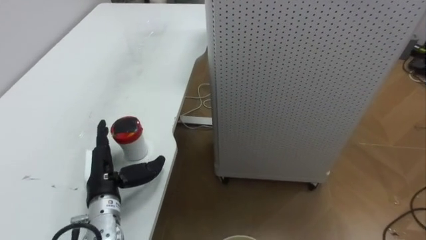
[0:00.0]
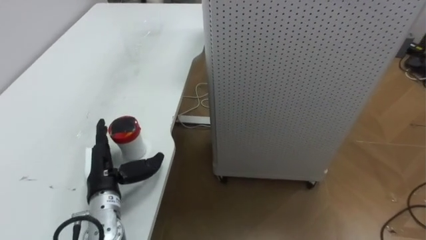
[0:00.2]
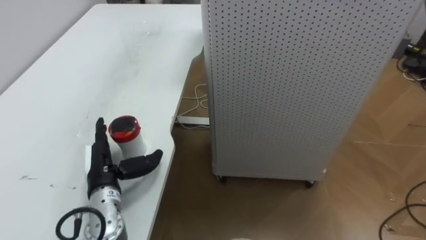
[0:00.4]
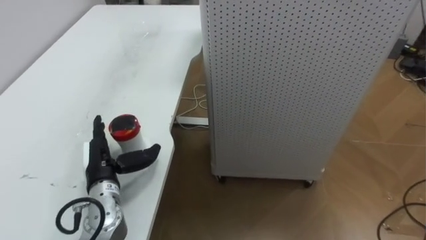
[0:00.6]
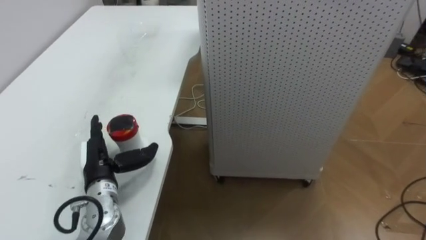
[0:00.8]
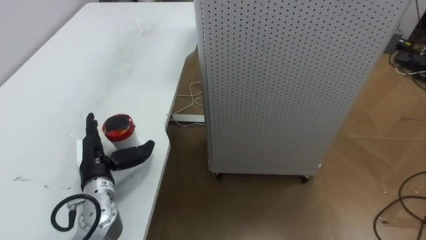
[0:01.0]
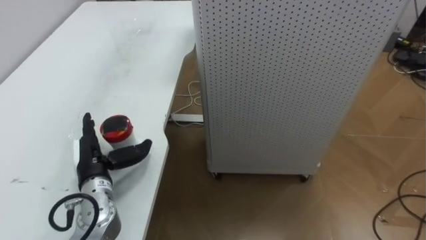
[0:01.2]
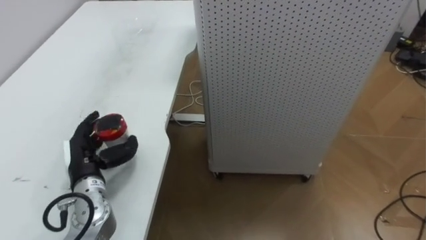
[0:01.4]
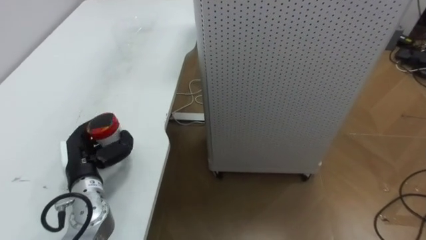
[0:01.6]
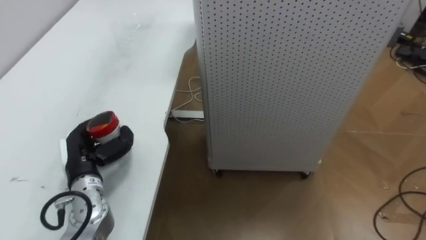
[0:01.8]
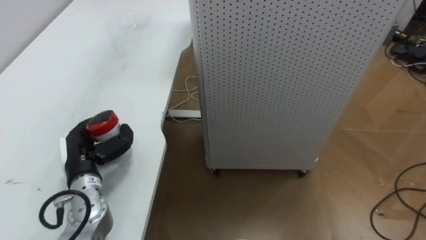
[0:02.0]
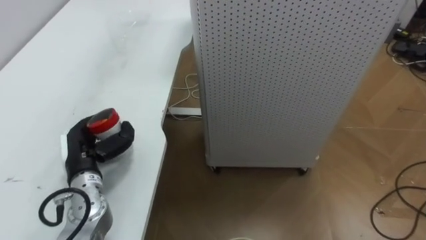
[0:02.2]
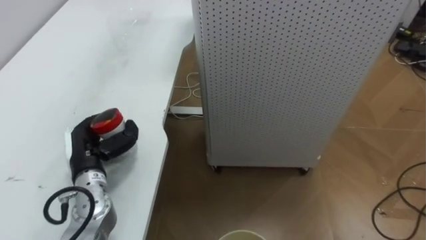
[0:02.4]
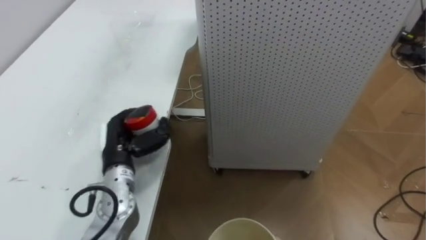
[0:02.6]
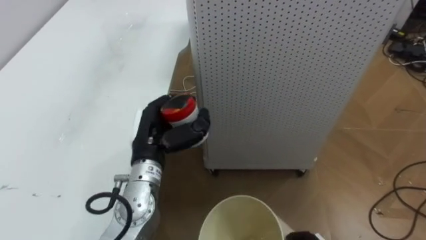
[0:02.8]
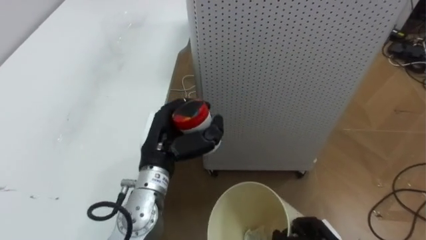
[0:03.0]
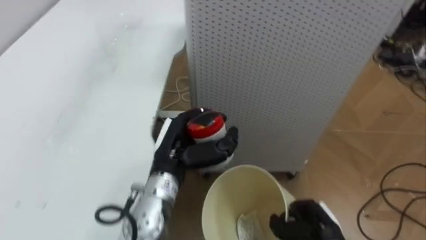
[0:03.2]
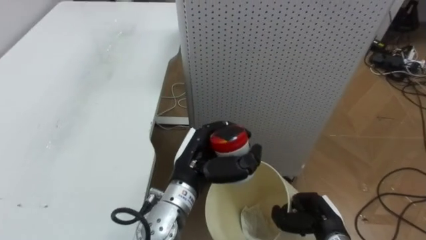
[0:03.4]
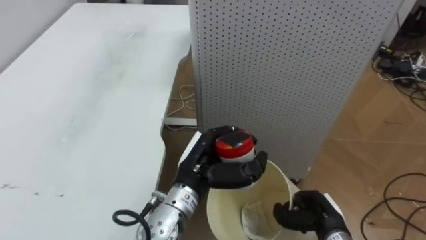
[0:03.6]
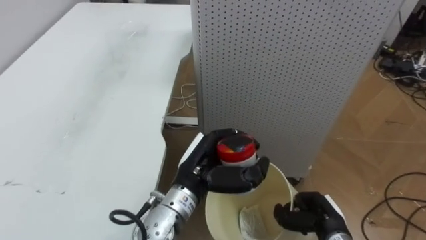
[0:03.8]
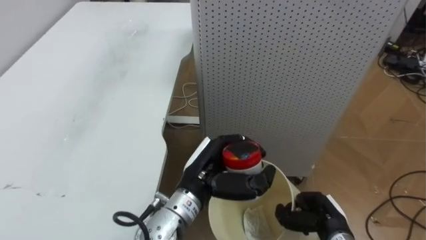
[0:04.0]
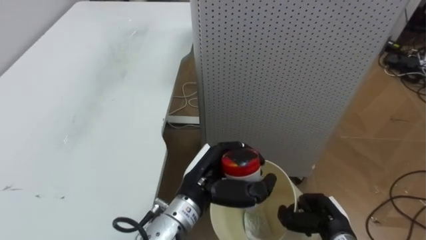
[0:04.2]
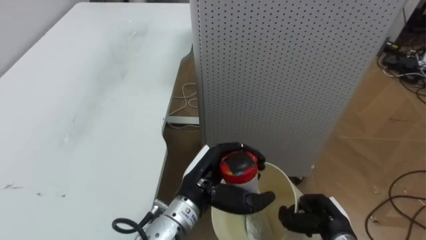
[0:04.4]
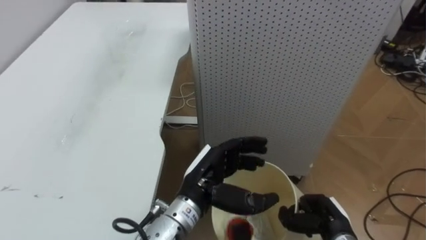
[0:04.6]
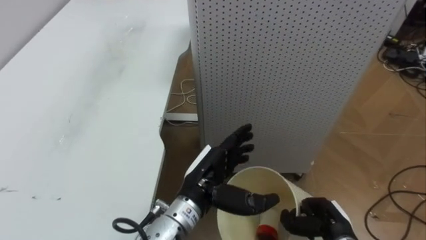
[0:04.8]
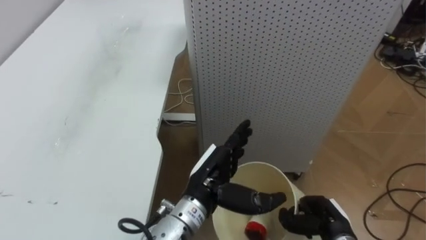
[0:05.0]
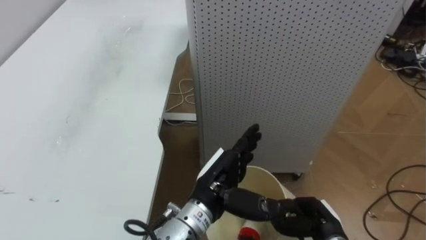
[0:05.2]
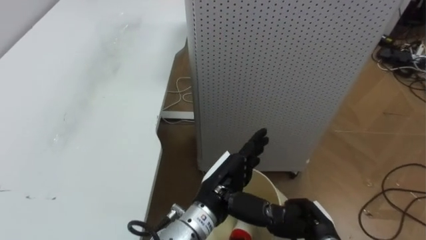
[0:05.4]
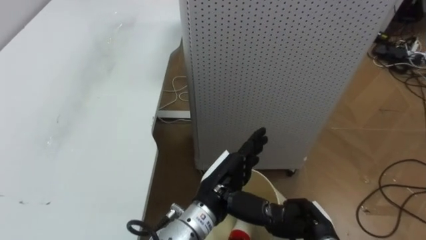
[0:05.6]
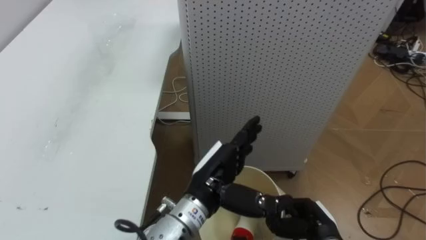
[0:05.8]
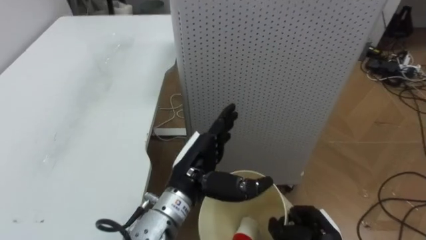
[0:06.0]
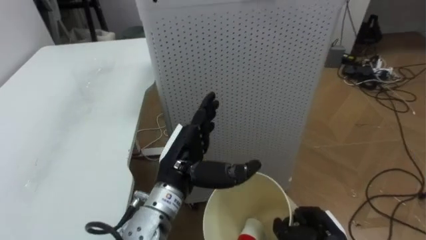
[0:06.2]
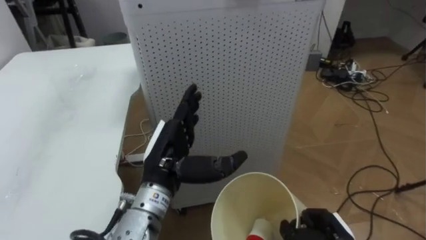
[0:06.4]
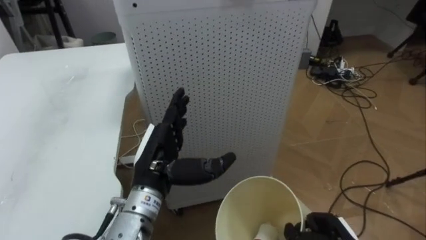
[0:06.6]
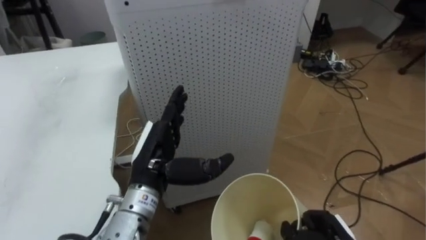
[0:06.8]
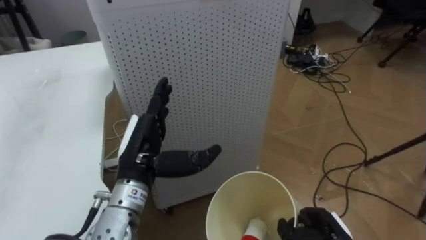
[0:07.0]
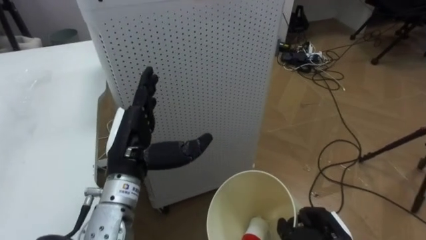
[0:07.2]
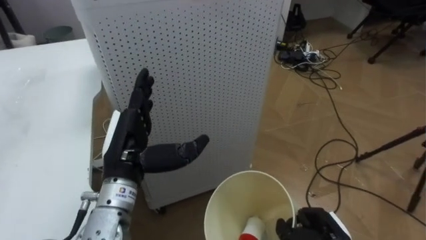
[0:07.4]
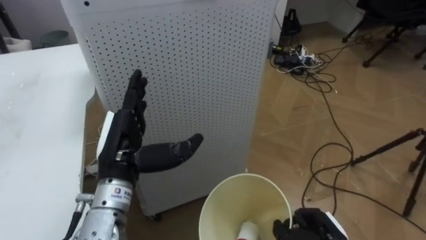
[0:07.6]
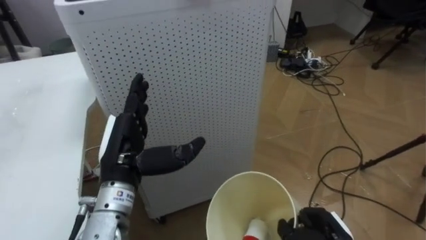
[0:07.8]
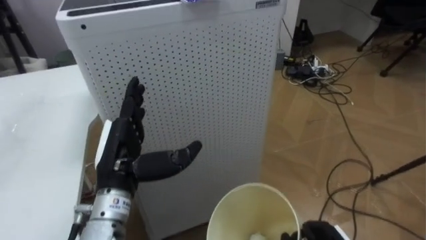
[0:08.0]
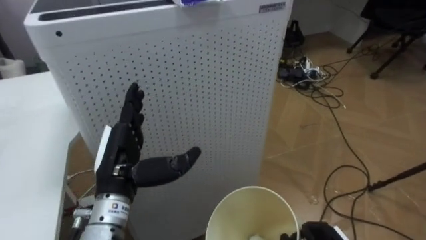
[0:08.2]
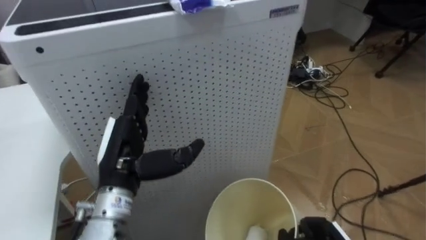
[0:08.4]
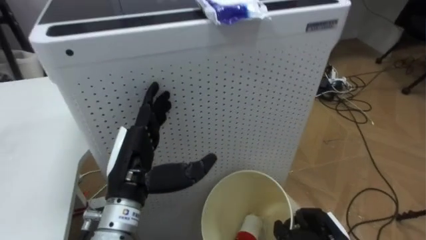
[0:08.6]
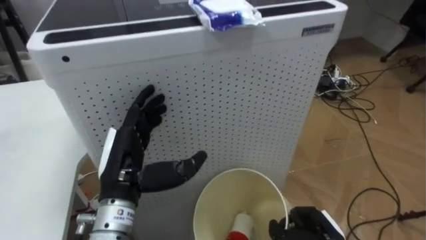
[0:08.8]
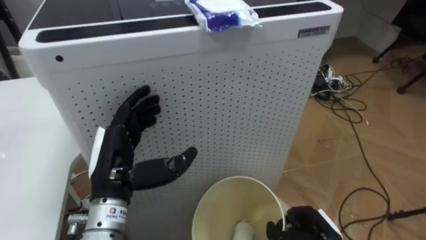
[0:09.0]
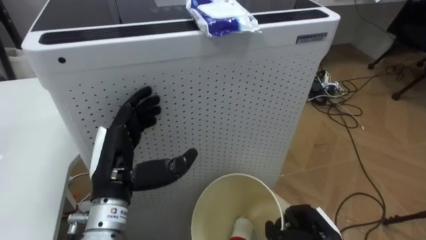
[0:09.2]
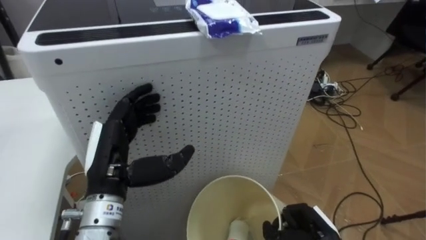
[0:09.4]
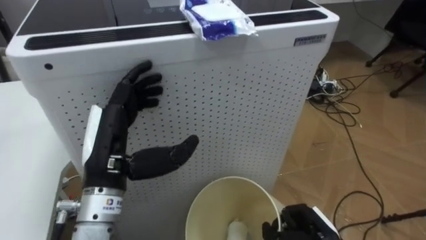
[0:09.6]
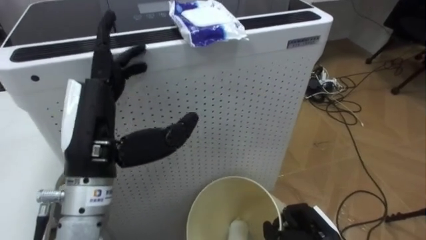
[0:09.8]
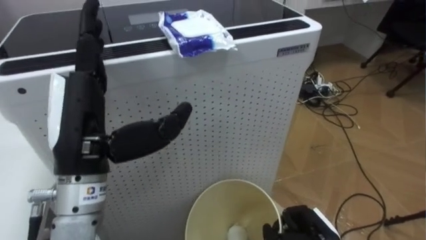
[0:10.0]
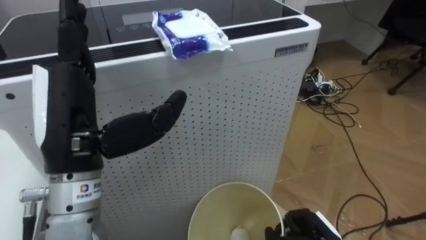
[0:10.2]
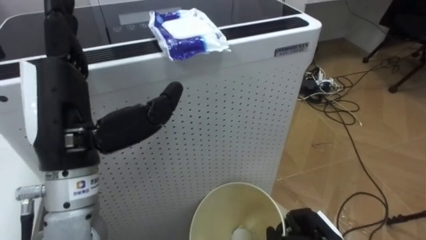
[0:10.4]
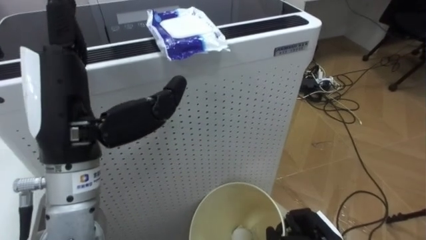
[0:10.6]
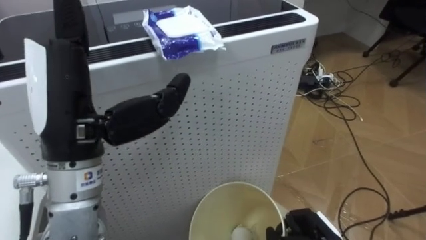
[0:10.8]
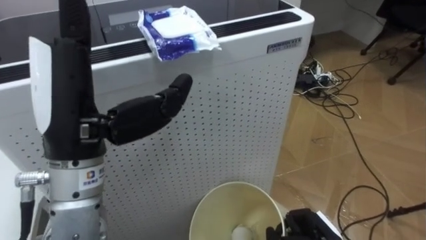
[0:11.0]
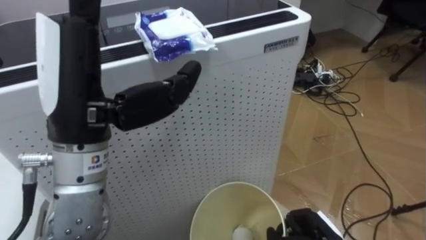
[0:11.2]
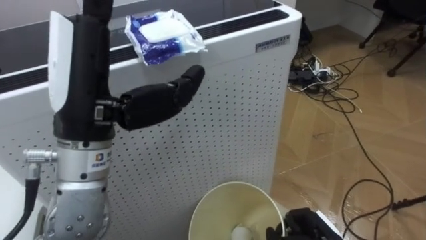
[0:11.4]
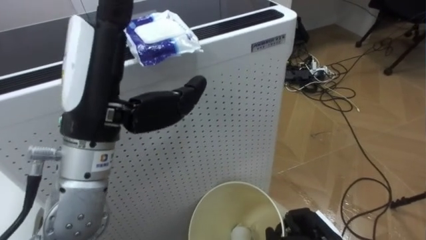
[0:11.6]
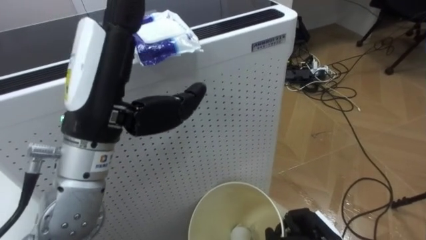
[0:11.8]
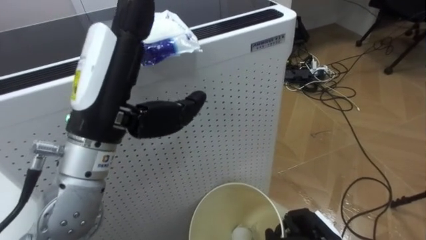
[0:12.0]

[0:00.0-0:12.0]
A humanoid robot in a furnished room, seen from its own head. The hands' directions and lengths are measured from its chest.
Task of the whole recording: Pick up the light blue package, the candy box, and the dark blue package separately, and put them into the trash can held in your right hand.
0:00.0 to 0:01.6: The left hand closes.
0:01.6 to 0:03.0: The left hand moves to the right and upward, approximately 15 cm.
0:03.0 to 0:04.4: The left hand is displaced to the right by about 10 cm.
0:04.4 to 0:06.0: The left hand opens up.
0:06.0 to 0:07.6: The robot's body swings about 30 degrees to its right. The left hand goes about 10 cm to the left.
0:09.0 to 0:10.4: The left hand shifts approximately 15 cm upward.
0:10.4 to 0:12.0: The left hand changes place by about 5 cm.

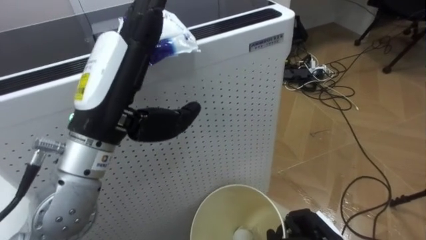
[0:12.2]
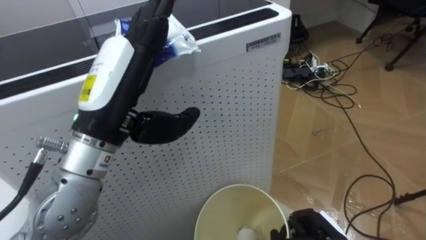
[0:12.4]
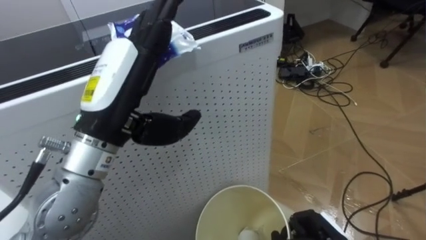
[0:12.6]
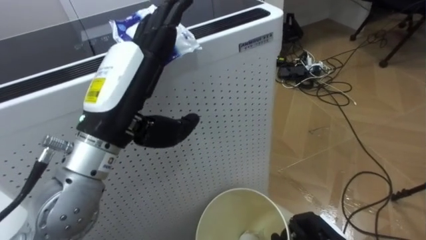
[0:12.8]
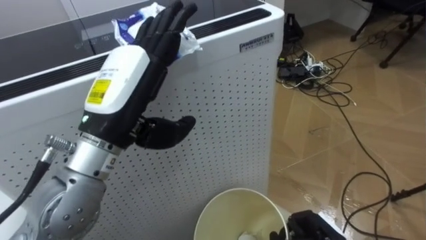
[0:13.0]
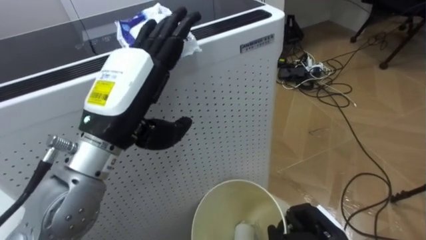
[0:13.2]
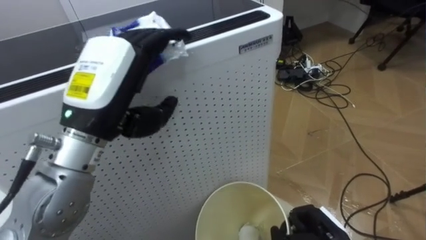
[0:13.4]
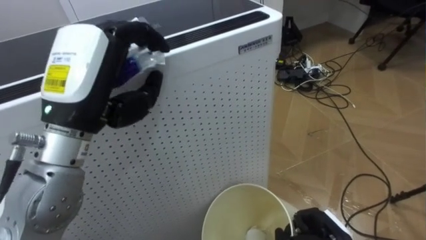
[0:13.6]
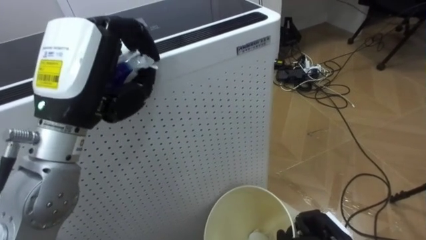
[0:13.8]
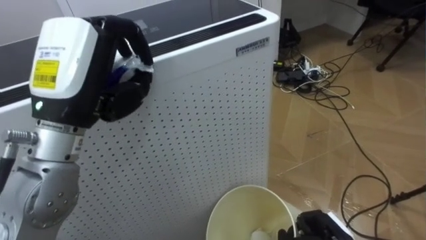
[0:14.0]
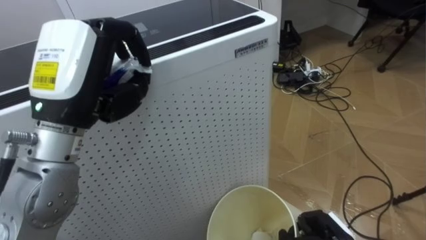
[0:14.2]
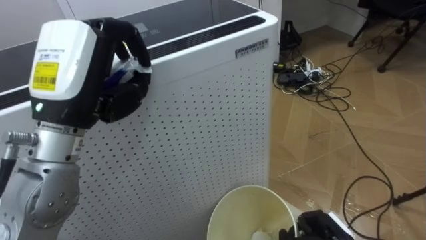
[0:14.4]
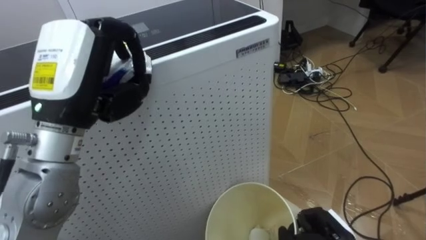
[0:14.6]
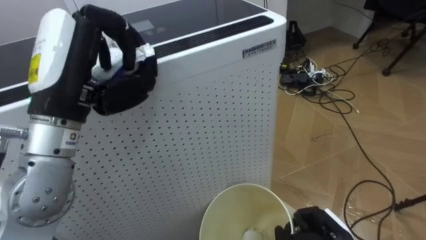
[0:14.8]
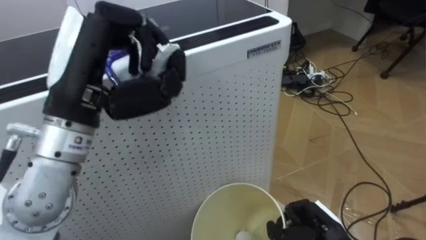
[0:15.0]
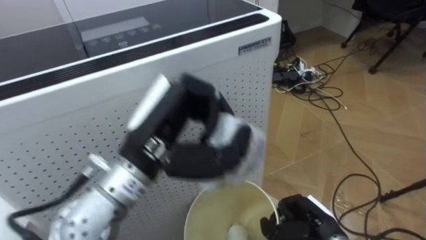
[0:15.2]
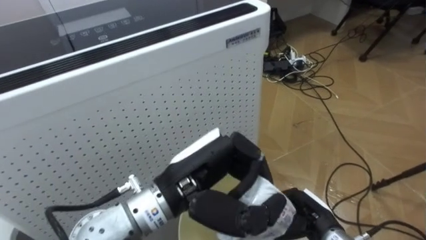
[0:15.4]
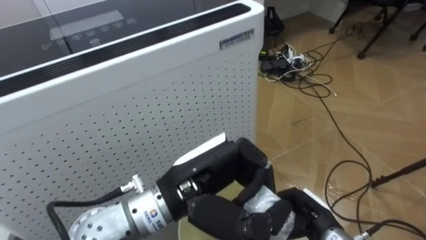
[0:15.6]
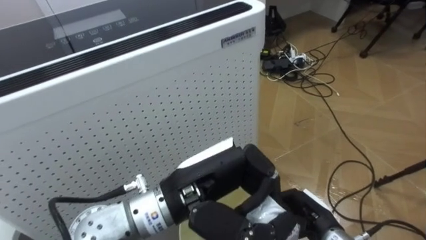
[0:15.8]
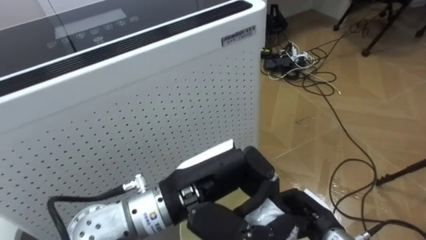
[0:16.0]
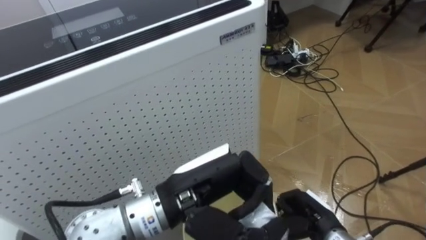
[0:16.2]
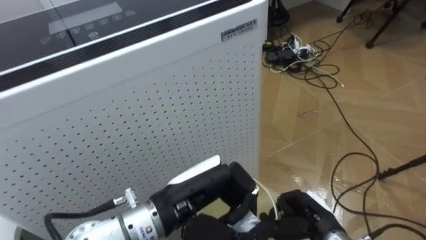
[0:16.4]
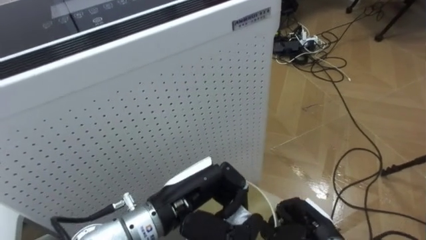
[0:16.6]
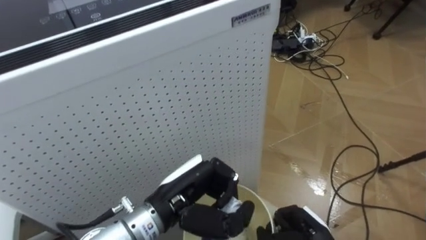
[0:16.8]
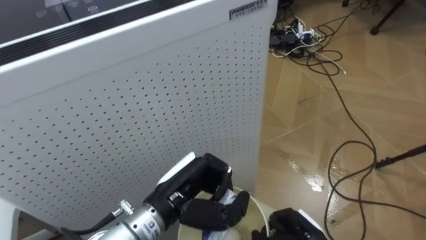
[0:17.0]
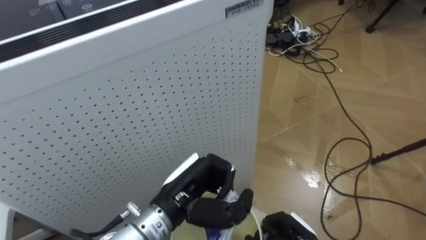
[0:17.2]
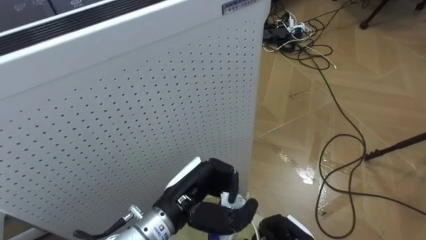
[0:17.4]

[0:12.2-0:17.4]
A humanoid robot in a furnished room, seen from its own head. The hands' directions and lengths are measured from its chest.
Task of the whole recording: Pick up the light blue package, the candy box, and the dark blue package separately, and put them into the trash can held in your right hand.
0:12.2 to 0:14.0: The left hand closes its fingers.
0:14.0 to 0:15.6: The left hand is displaced to the right and downward by about 20 cm.
0:15.6 to 0:17.4: The left hand heads downward, covering approximately 10 cm.
